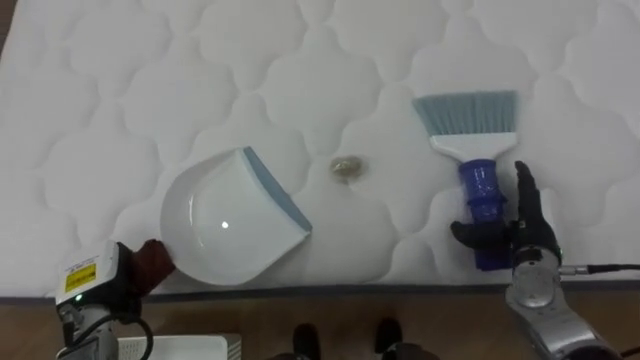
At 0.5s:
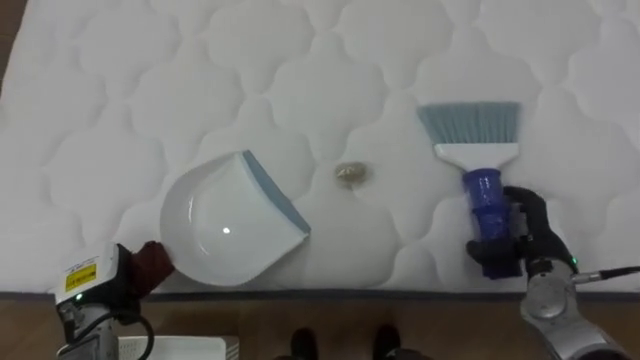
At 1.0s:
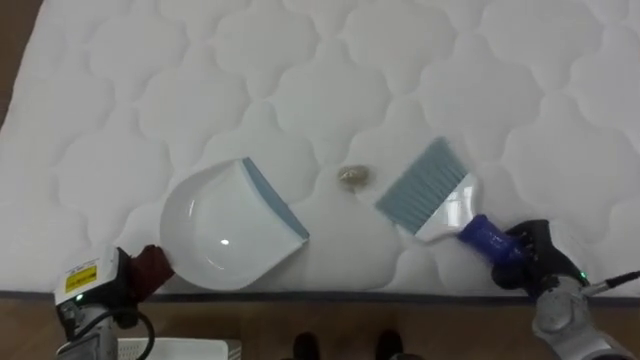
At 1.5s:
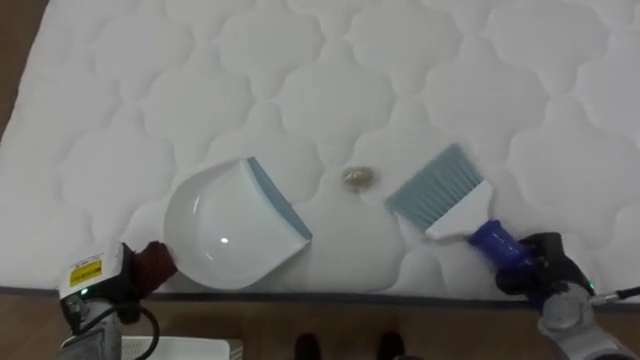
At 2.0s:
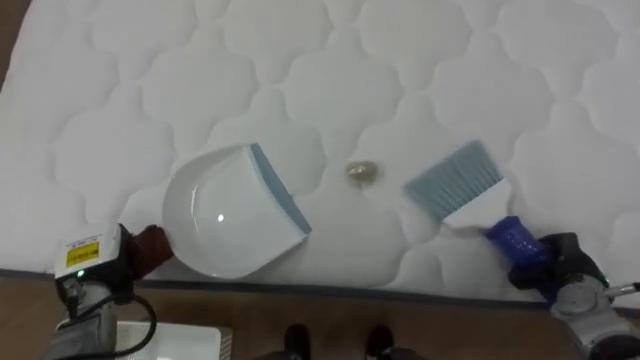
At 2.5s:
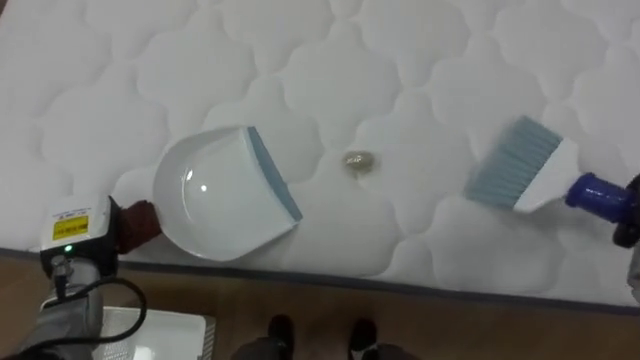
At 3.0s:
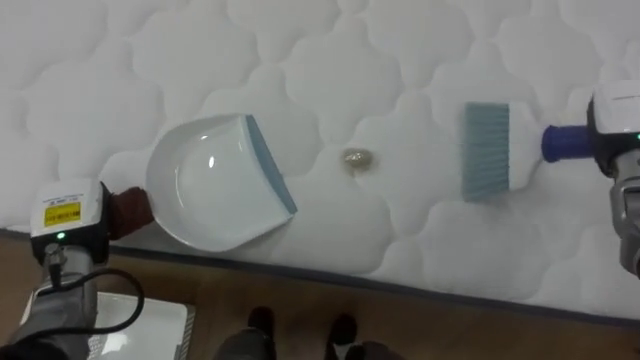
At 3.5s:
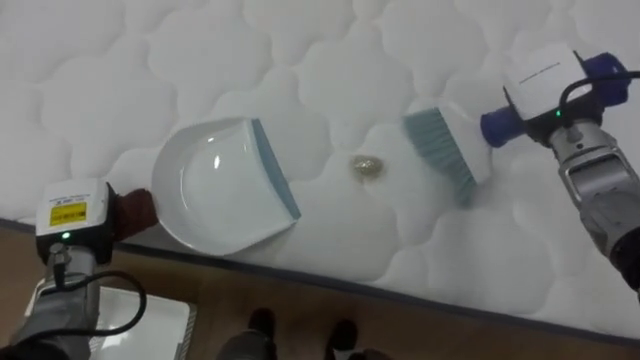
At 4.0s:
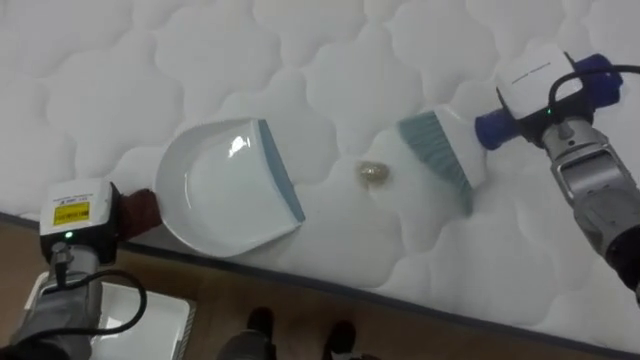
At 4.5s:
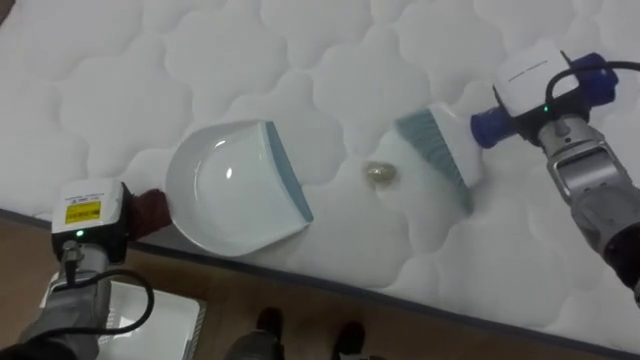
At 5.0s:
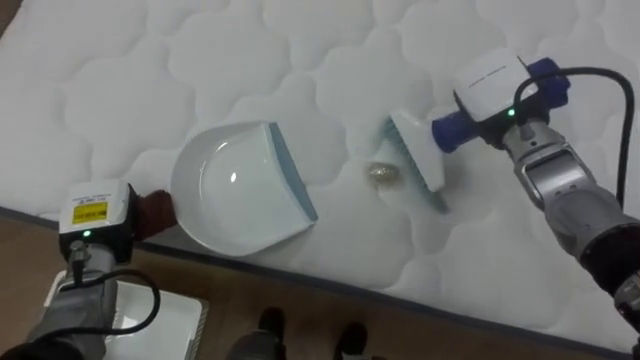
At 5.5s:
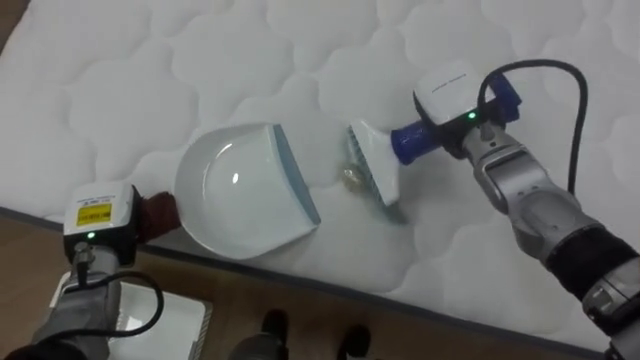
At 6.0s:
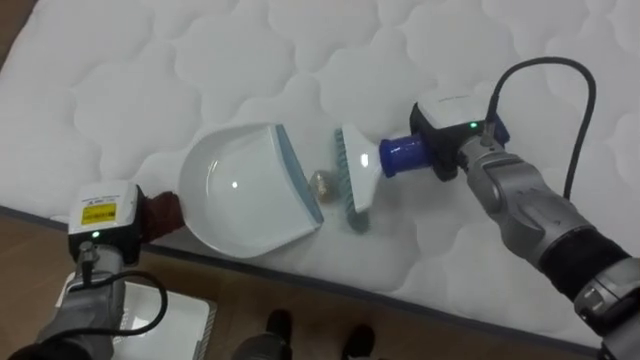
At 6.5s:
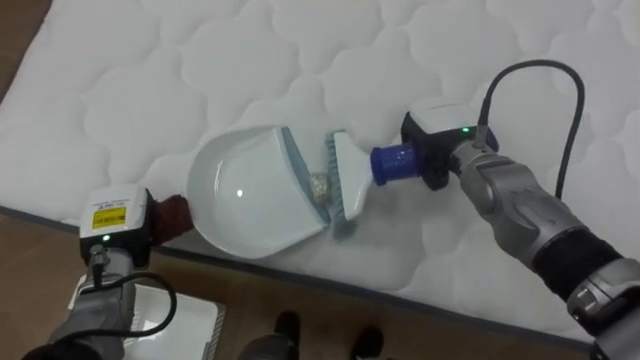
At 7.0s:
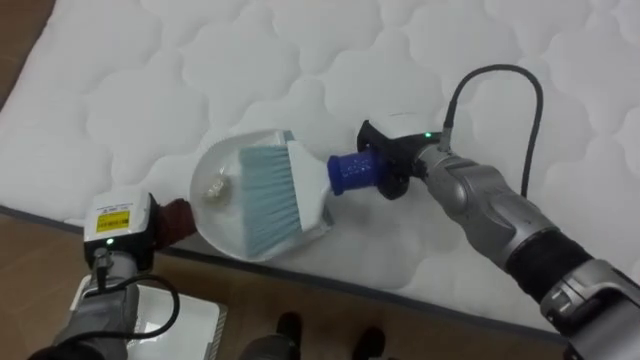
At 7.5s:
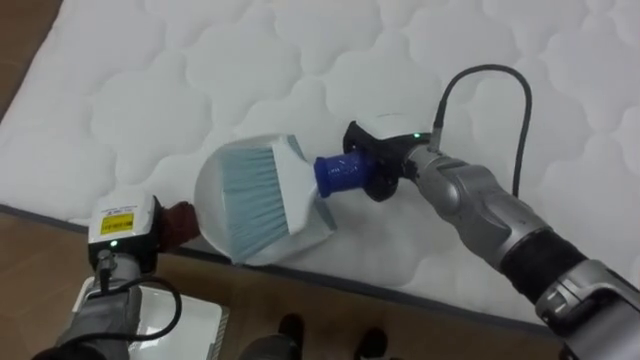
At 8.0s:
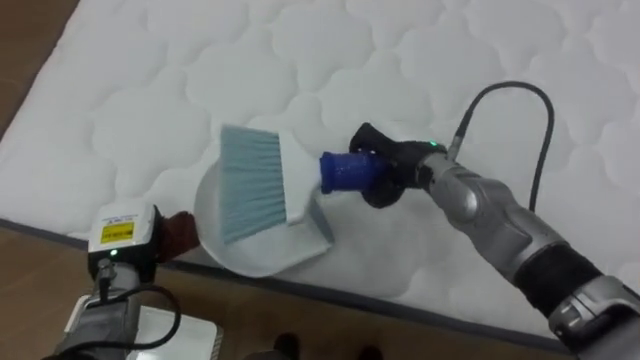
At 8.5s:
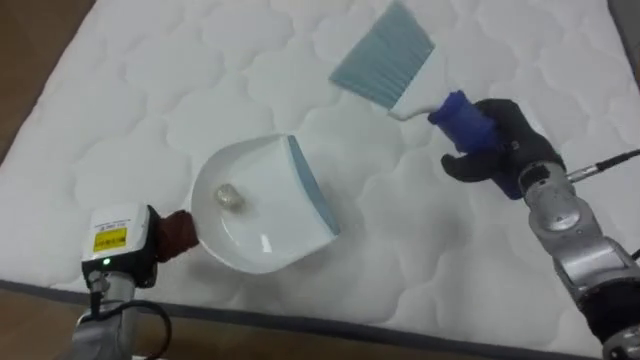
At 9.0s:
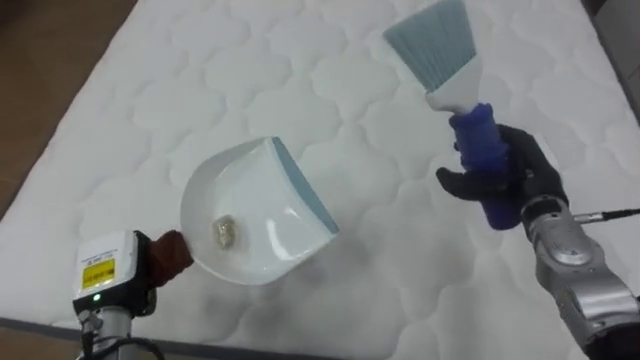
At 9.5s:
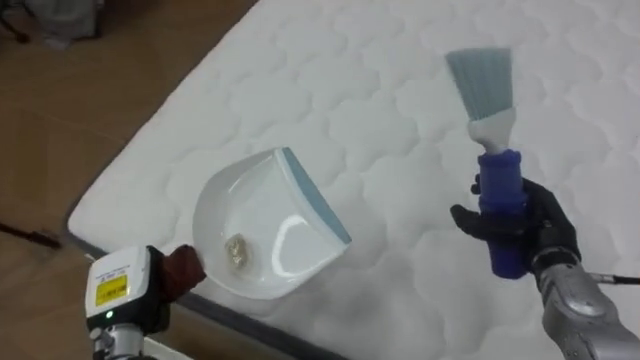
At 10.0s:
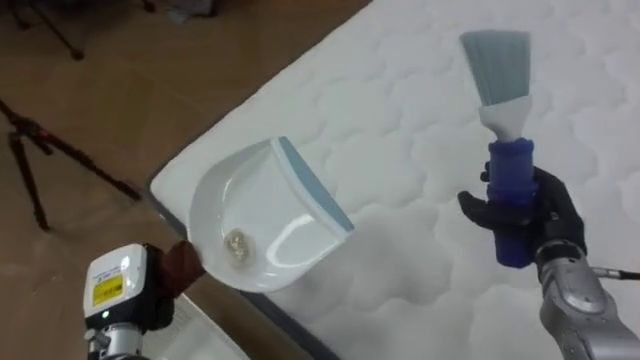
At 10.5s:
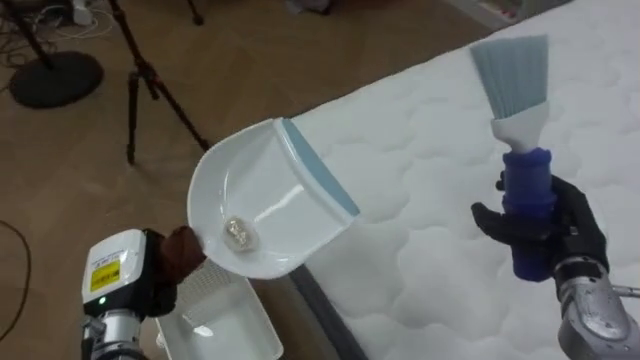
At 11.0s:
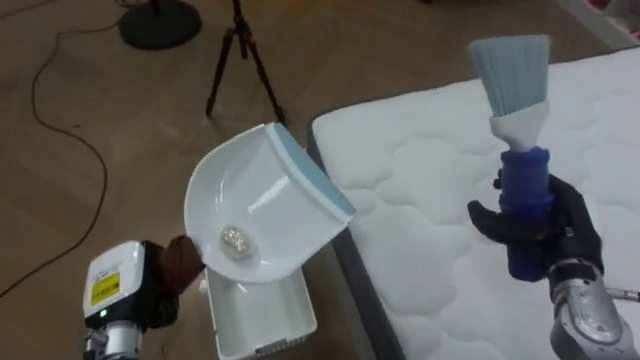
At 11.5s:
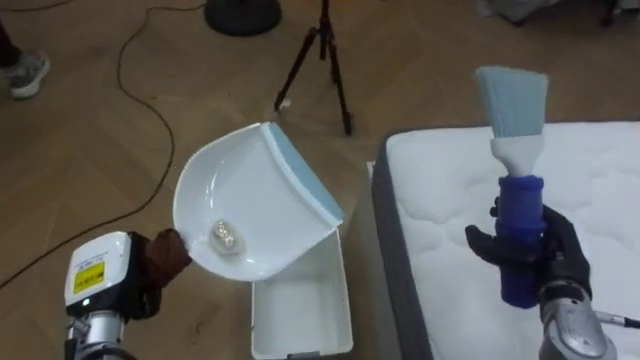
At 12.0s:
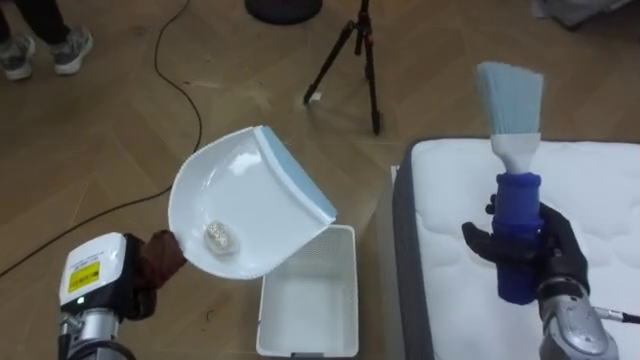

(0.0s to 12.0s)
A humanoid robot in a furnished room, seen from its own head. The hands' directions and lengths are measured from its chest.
Task of the whole recording: Pick up the brush on your right and the dustpan on your left. Use the brush to sweep the crumpled paper on the bed into the dustpan, then turn left and empty it into the basket.
0.0s - 2.0s: The right hand moves to the right and downward, some 10 cm, and closes.
2.0s - 4.0s: The left hand shifts roughly 5 cm upward.
4.0s - 6.0s: The right hand shifts some 10 cm to the left.
6.0s - 8.0s: The right hand travels to the left by about 5 cm.
8.0s - 10.0s: The robot faces some 30 degrees further to its left. The left hand moves backward, some 5 cm. The right hand is displaced to the right and backward by about 20 cm.
10.0s - 12.0s: The robot turns to its left by approximately 55 degrees.

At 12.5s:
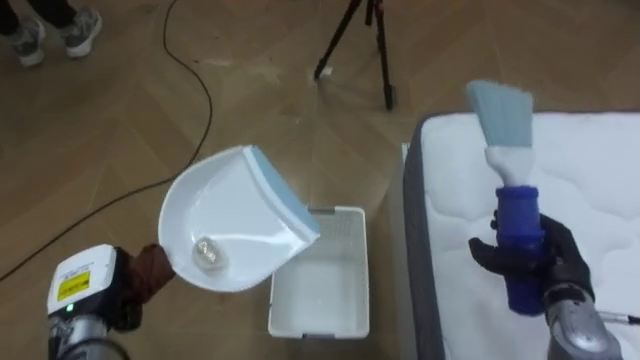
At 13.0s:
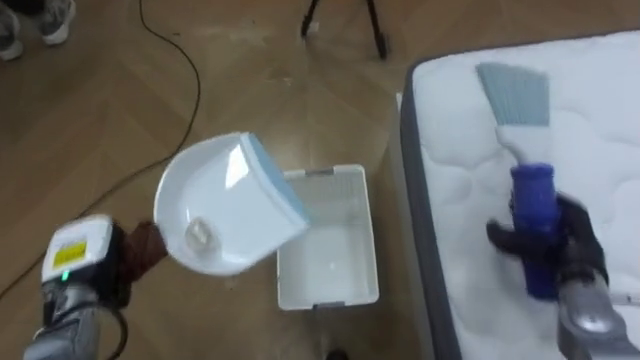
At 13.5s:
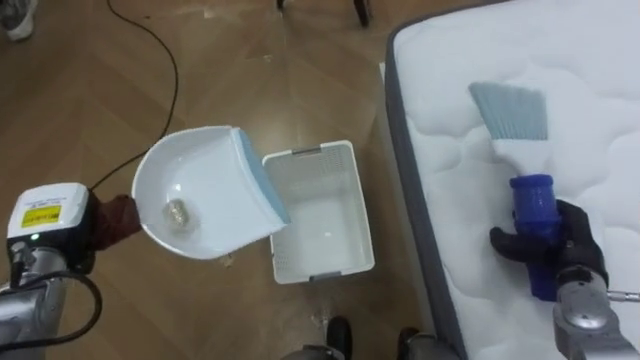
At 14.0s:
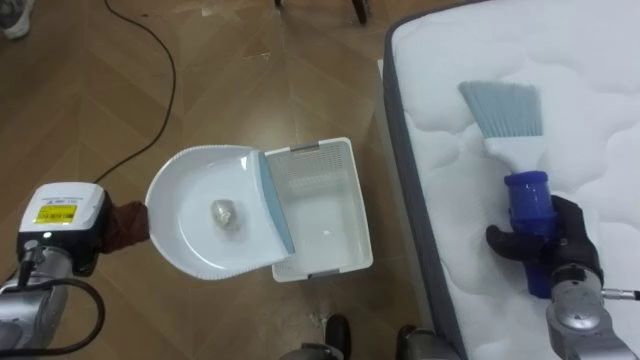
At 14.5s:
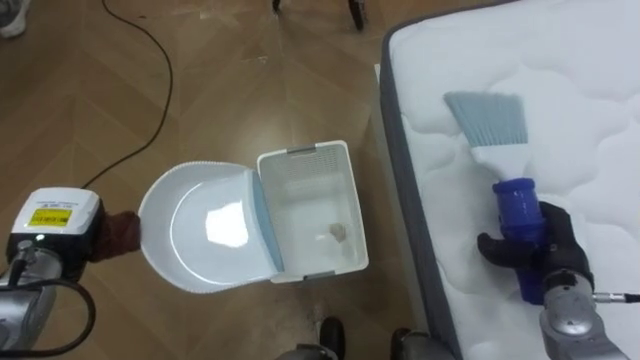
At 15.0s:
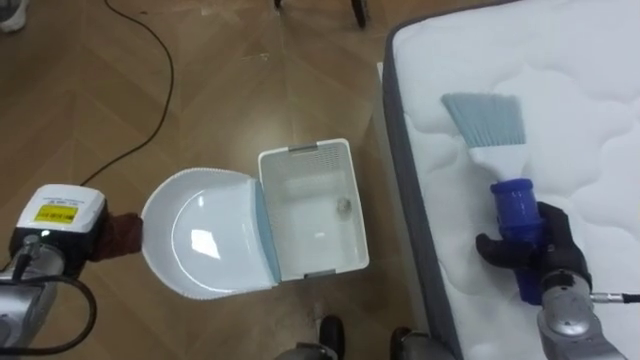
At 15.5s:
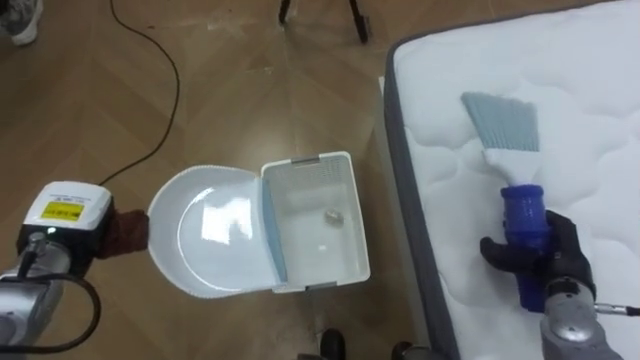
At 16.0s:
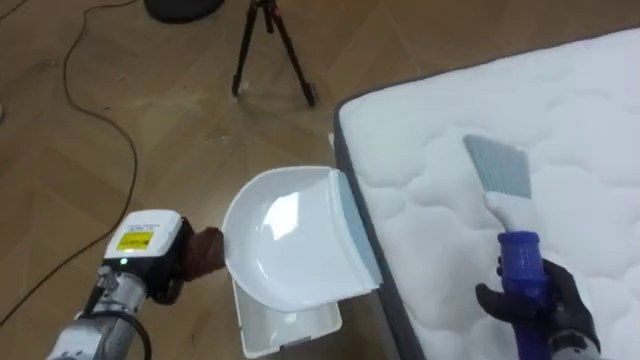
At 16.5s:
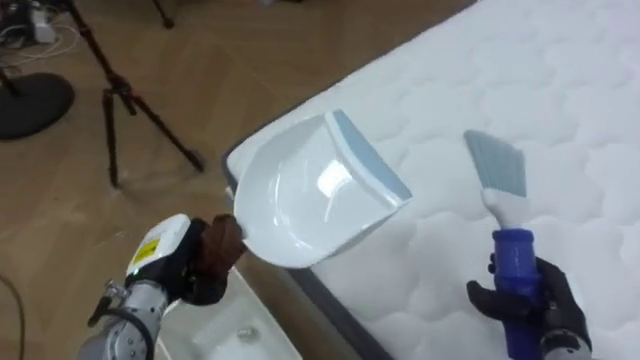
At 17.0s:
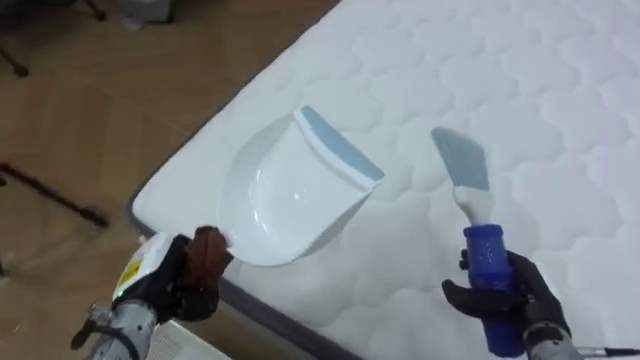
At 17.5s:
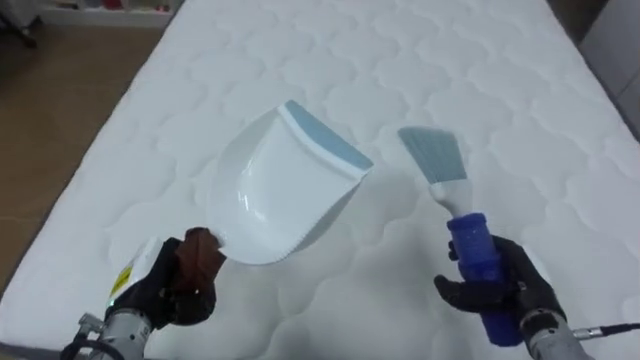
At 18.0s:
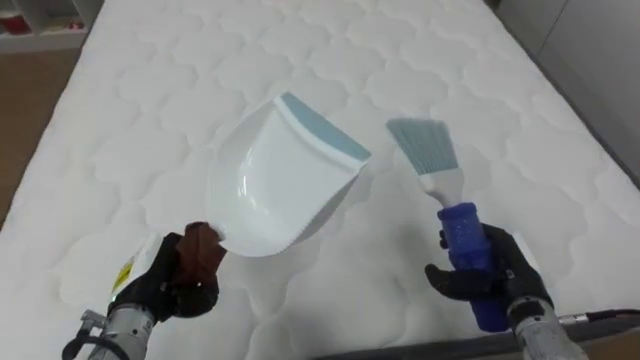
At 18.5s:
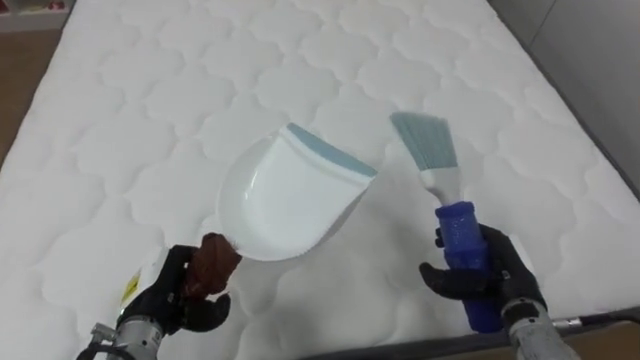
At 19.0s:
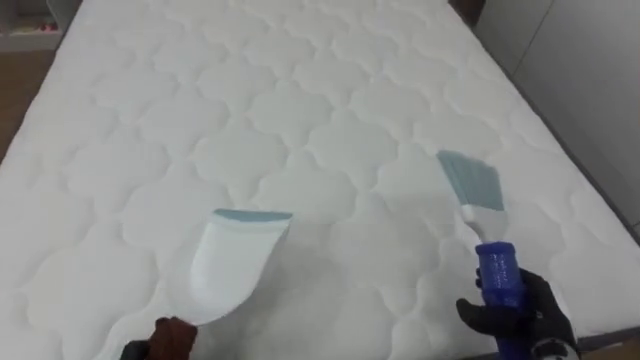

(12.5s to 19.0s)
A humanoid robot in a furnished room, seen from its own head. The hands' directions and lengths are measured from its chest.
Task of the whole recording: Pick up the brush on your right and the dustpan on your left. Use the brush to sweep the crumpled paper on the bed into the dustpan, then turn left and empty it into the basket.
12.5s - 14.5s: The left hand heads forward and upward, covering roughly 10 cm.
14.5s - 17.0s: The robot's body swings about 60 degrees to its right. The left hand shifts approximately 10 cm to the right; the right hand shifts some 5 cm backward.
17.0s - 19.0s: The robot turns to its right by approximately 40 degrees.

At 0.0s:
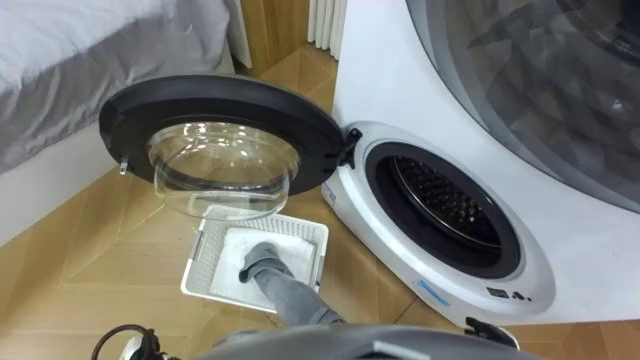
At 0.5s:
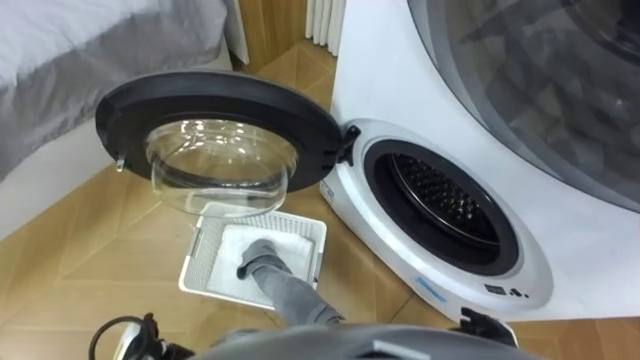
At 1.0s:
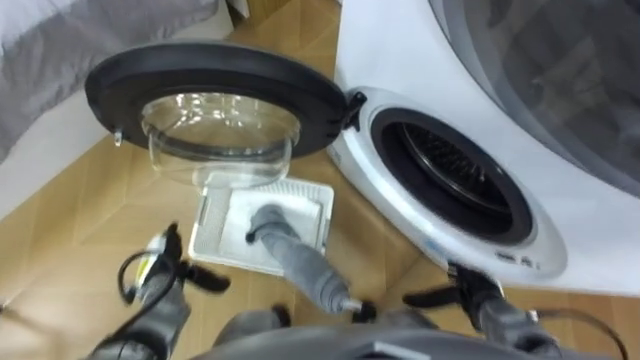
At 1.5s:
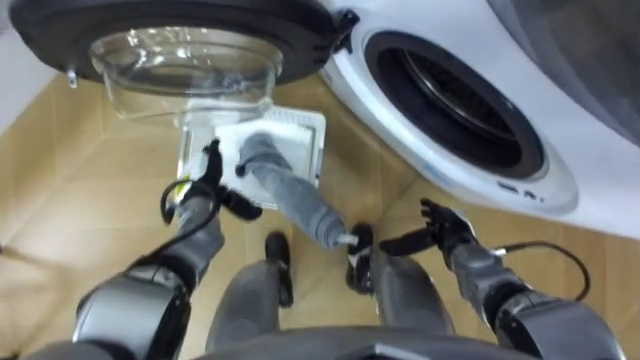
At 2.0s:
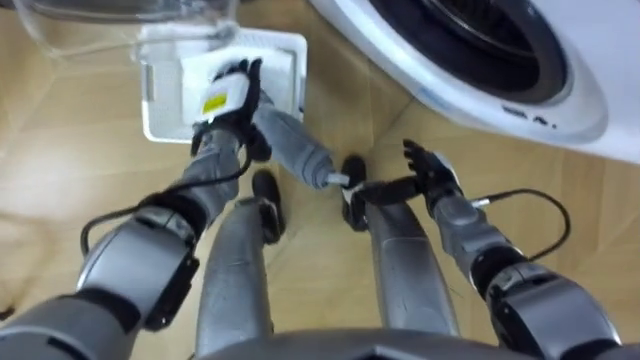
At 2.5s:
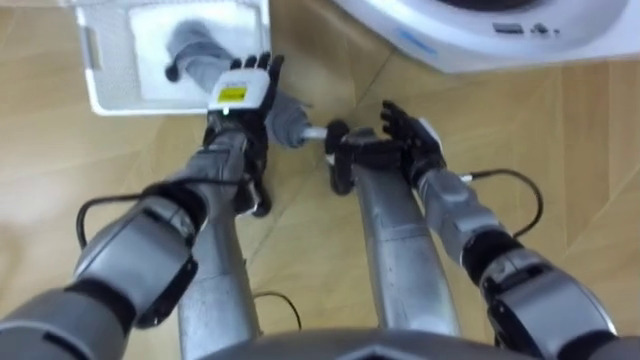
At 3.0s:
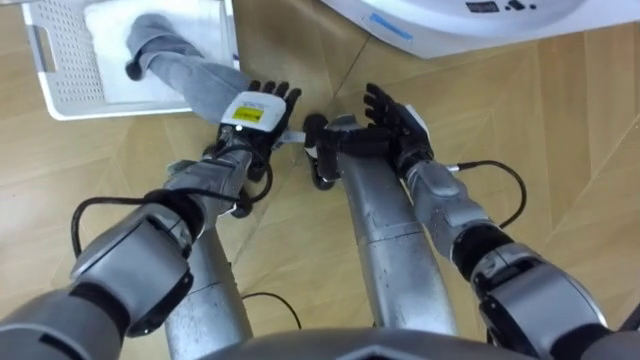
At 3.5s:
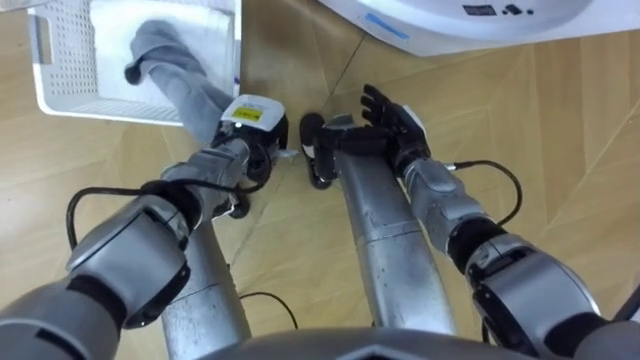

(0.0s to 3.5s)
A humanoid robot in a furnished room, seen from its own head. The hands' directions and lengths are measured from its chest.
Task of the whole recording: Take the towel from the basket and put it into the washing machine.
2.0s - 3.5s: The left hand closes its fingers, while the right hand shifts about 10 cm to the left and upward.
